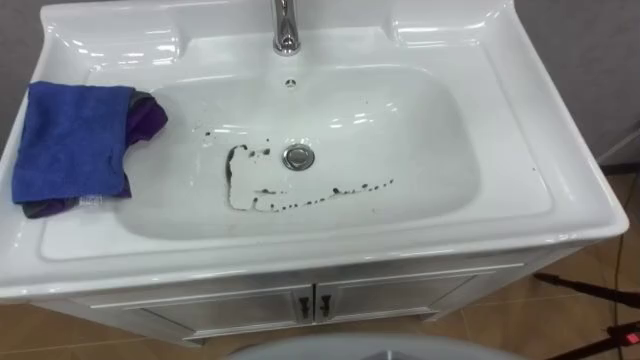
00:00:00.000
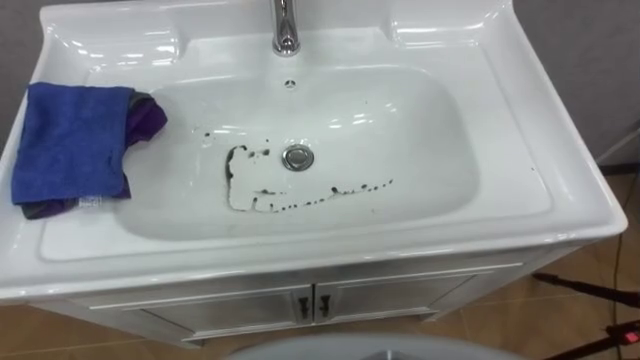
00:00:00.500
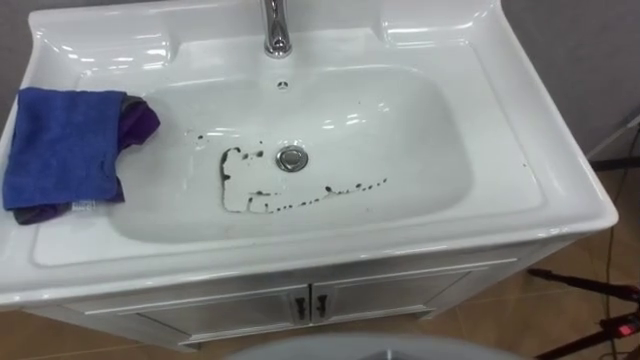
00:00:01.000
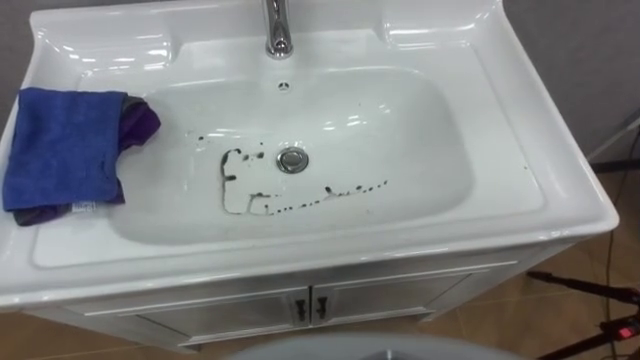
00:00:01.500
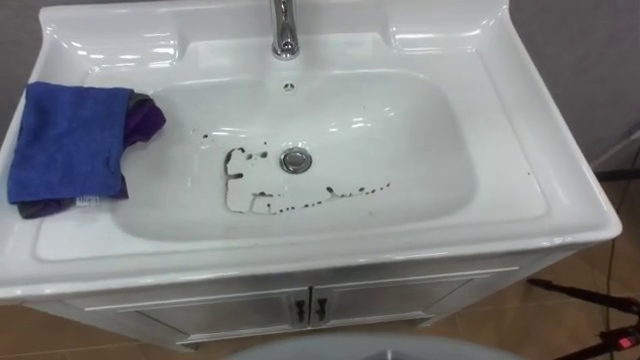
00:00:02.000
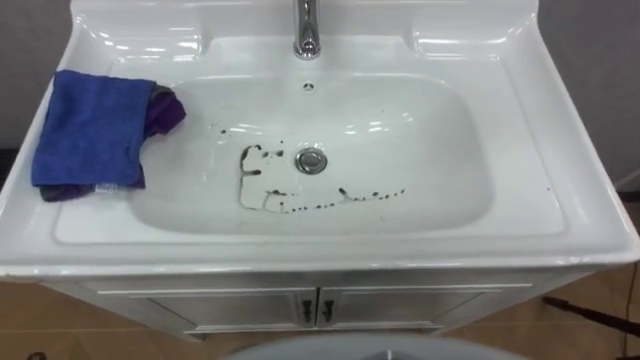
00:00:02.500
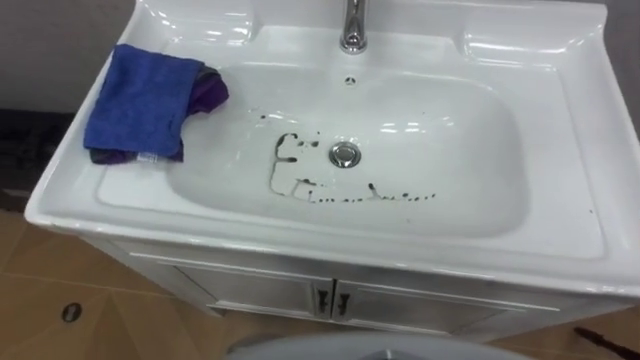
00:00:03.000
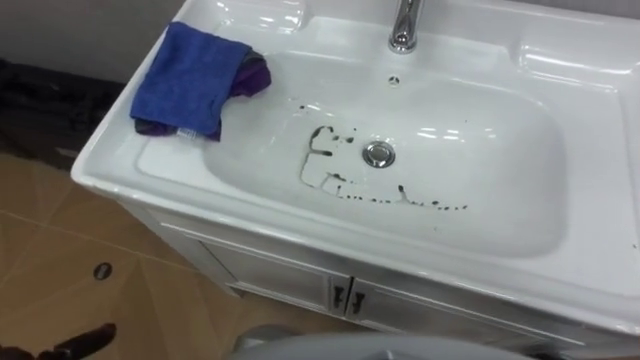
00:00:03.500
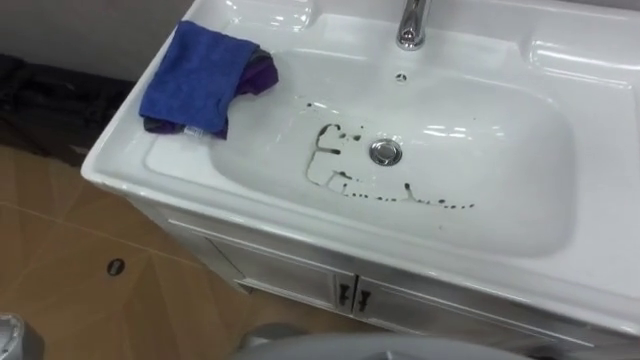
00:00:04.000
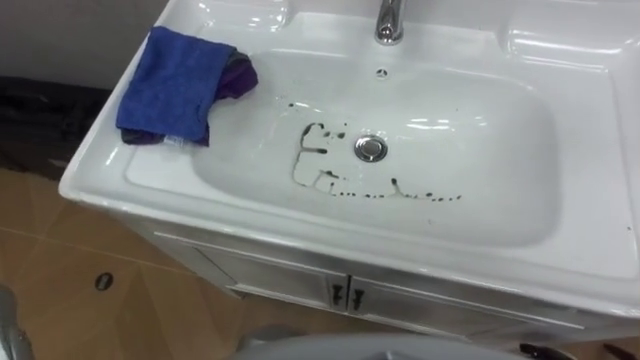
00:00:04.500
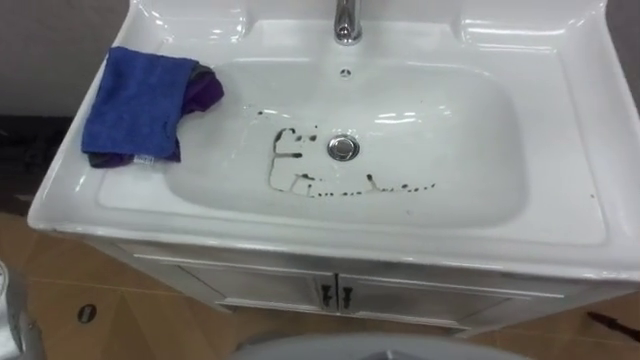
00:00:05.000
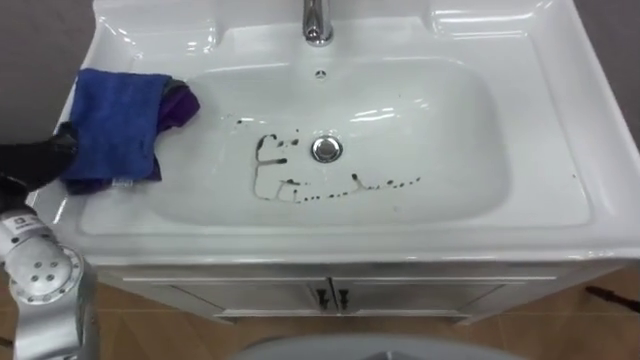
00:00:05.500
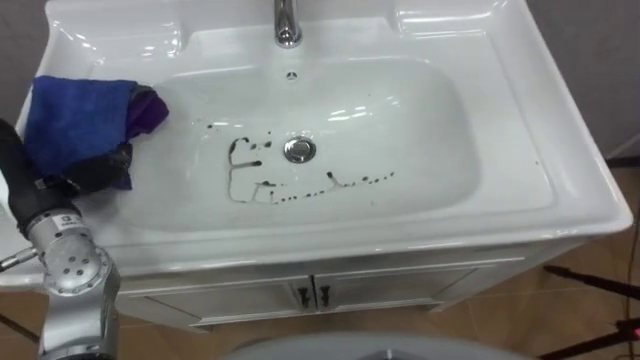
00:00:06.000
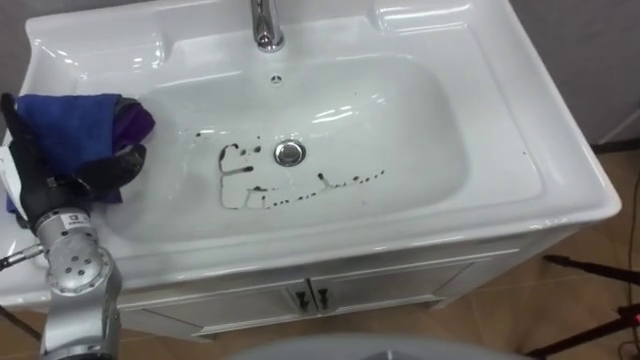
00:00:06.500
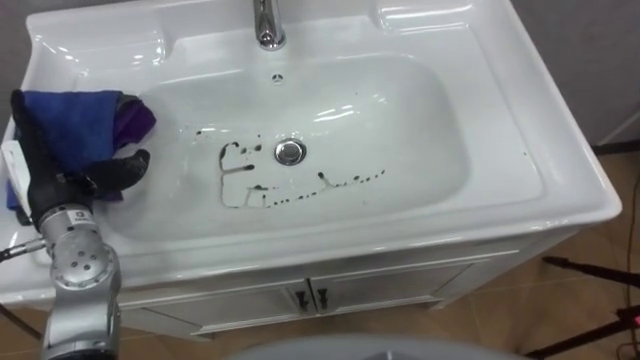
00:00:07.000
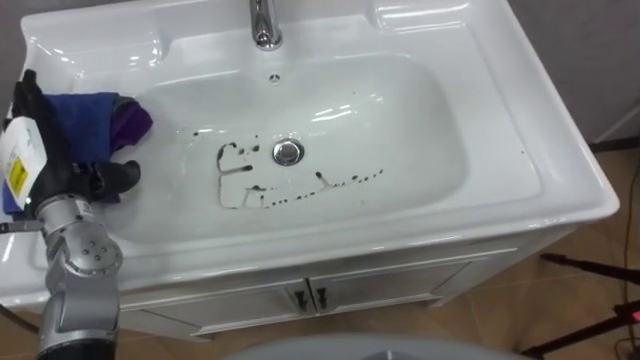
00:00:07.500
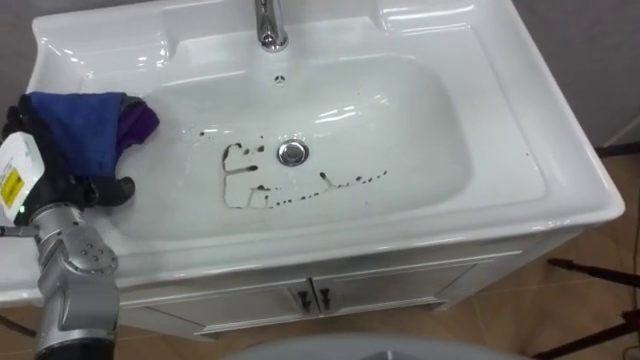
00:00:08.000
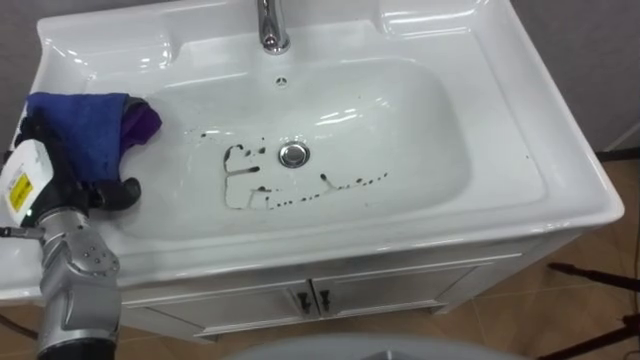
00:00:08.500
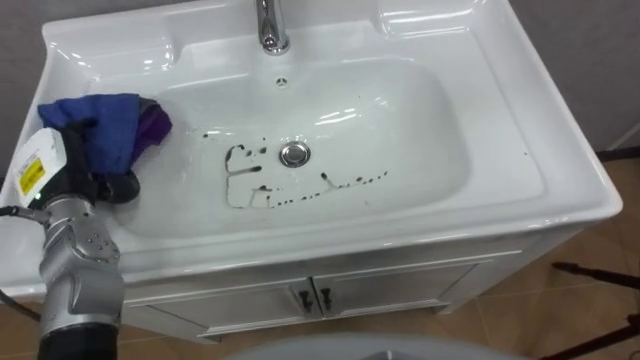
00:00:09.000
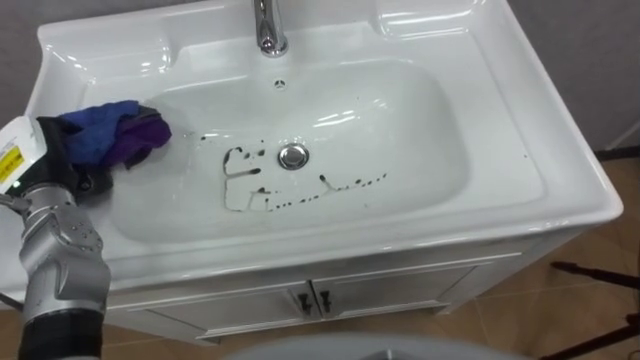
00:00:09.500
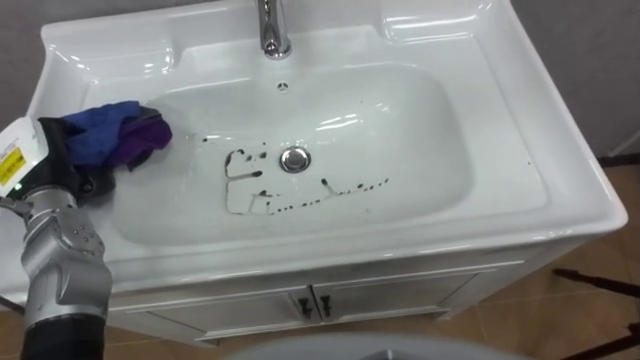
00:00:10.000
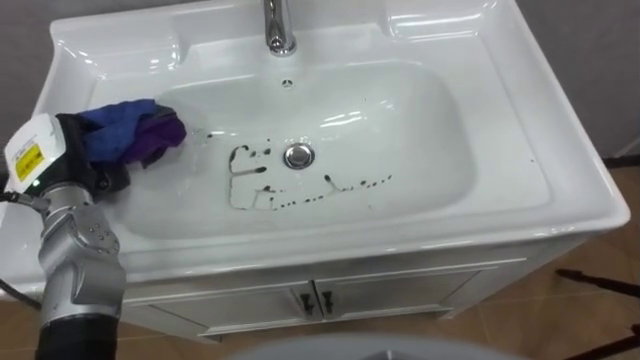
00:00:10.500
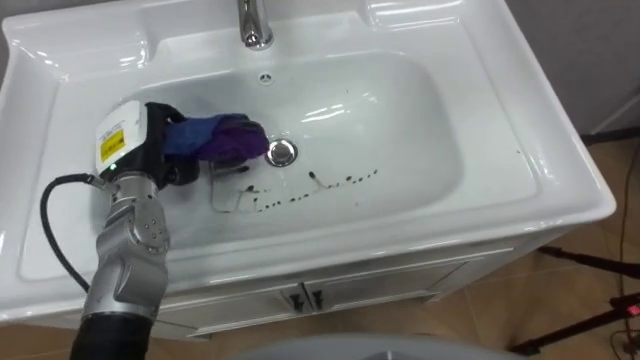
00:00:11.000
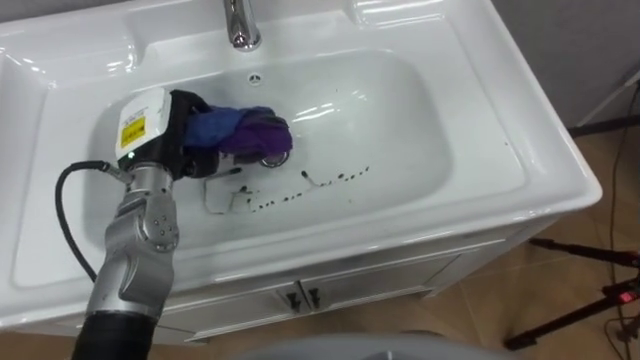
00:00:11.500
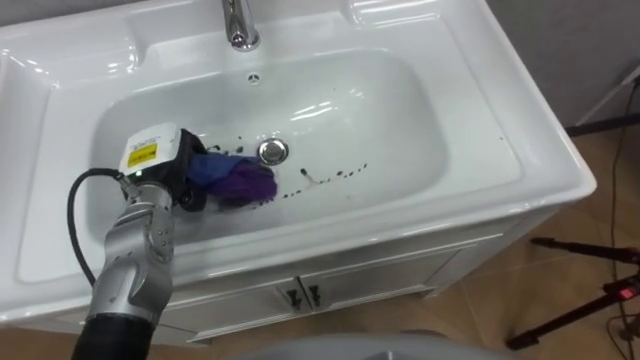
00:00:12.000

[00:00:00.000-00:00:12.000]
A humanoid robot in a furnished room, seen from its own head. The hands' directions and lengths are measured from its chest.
Task of the whole recording: Use the cloth on the right to wipe away the black stain in the sink.
00:00:08.000 to 00:00:10.000: The left hand closes its fingers.
00:00:10.000 to 00:00:12.000: The left hand heads to the right, covering about 10 cm.

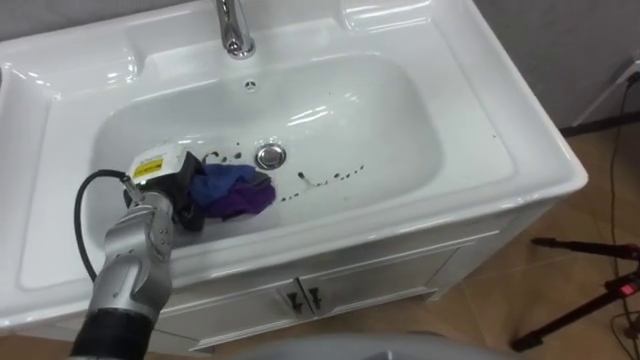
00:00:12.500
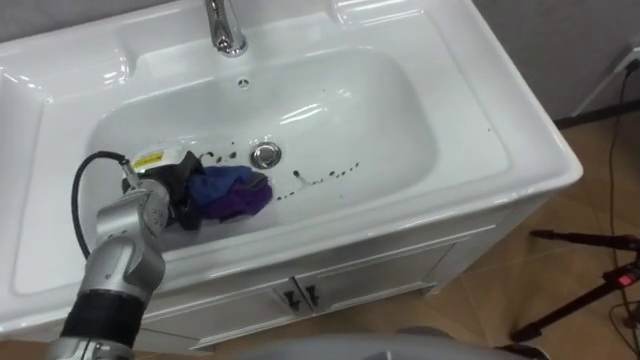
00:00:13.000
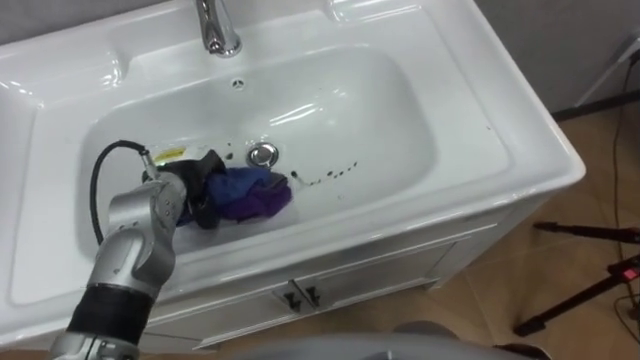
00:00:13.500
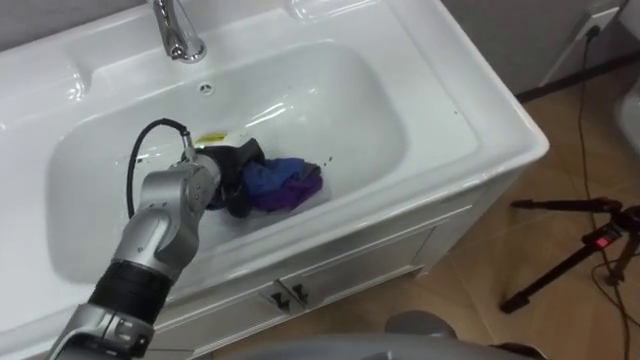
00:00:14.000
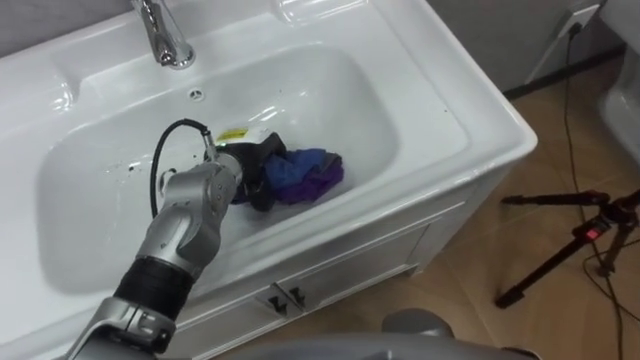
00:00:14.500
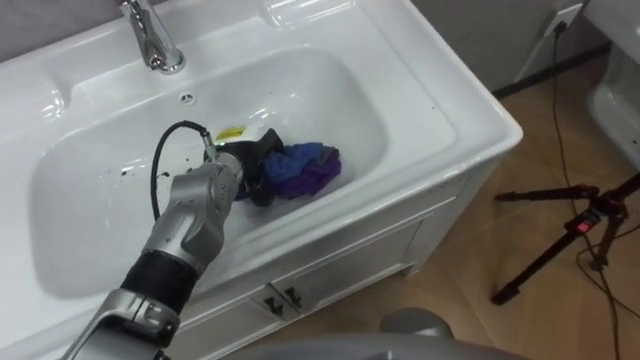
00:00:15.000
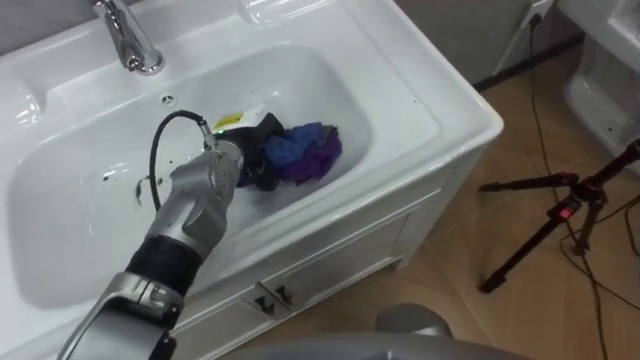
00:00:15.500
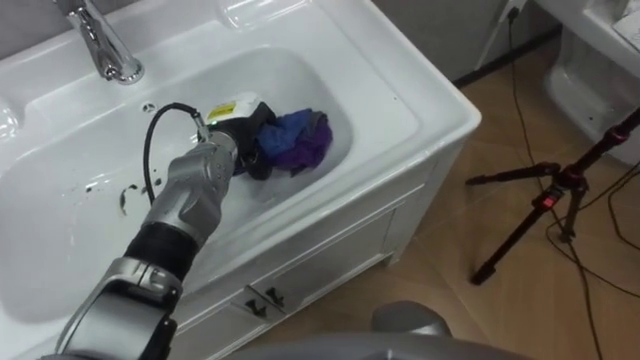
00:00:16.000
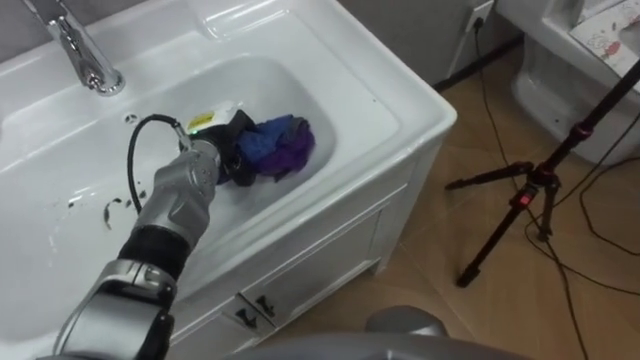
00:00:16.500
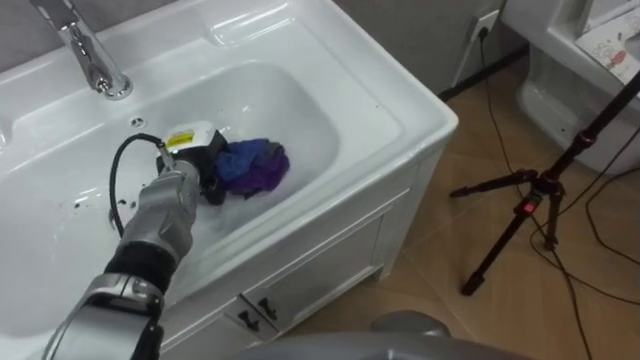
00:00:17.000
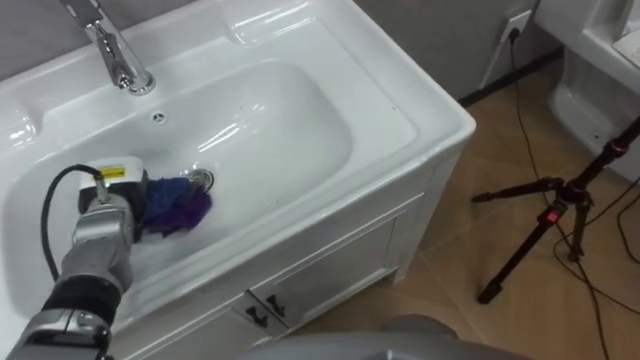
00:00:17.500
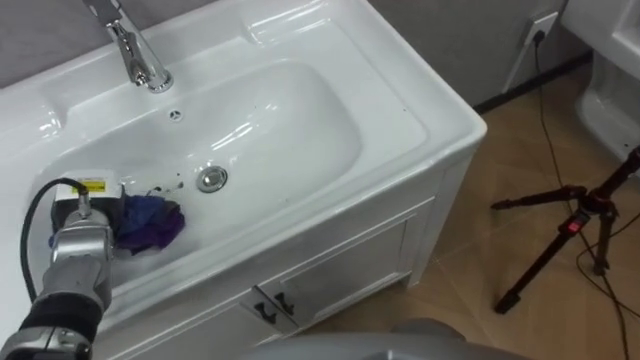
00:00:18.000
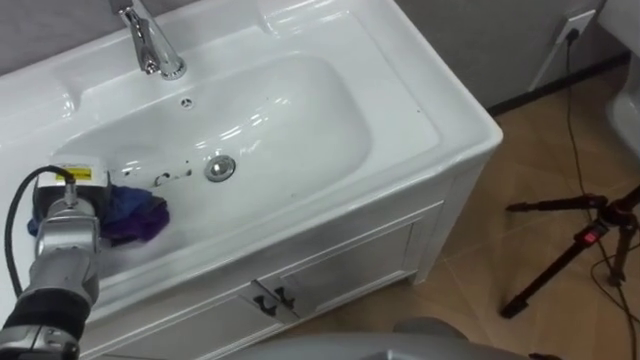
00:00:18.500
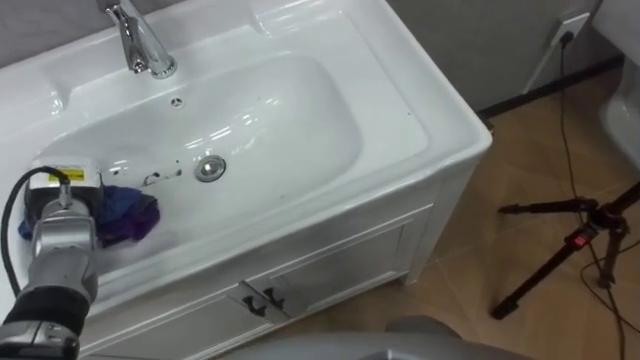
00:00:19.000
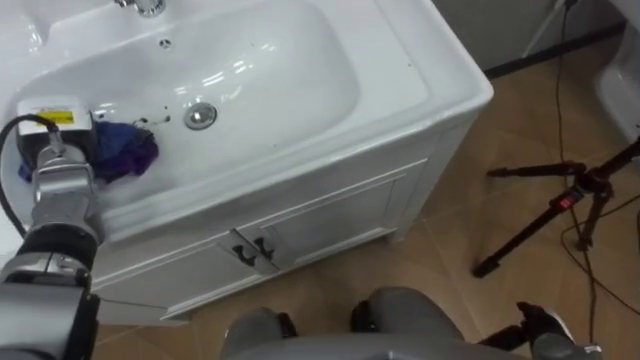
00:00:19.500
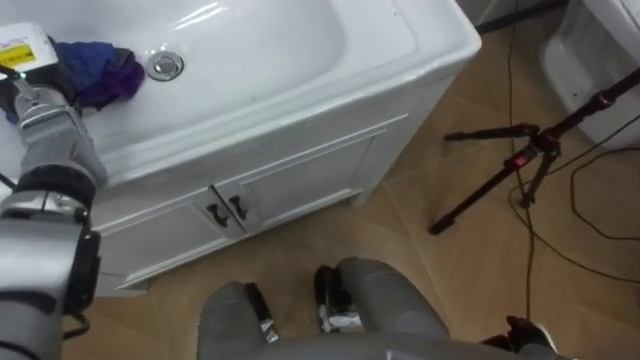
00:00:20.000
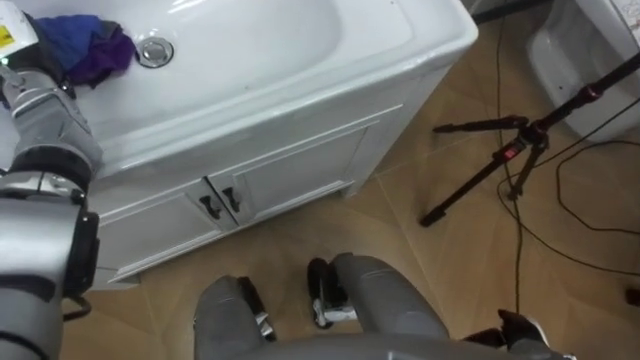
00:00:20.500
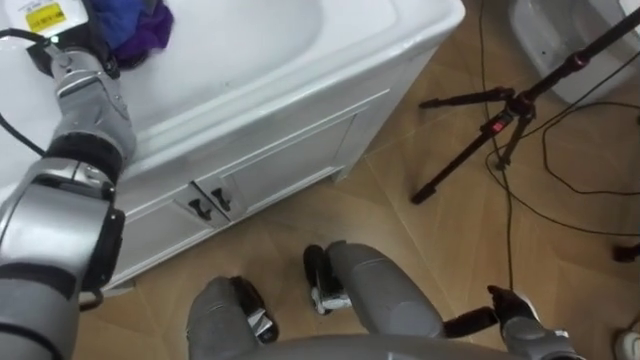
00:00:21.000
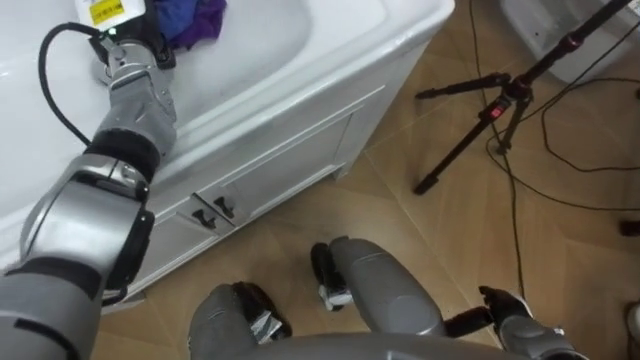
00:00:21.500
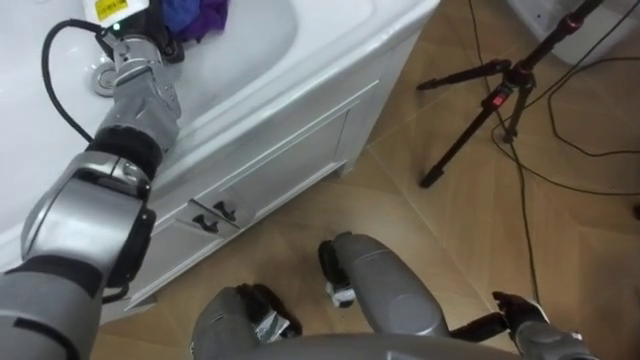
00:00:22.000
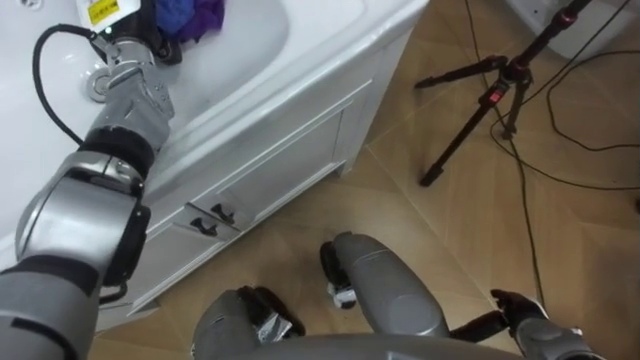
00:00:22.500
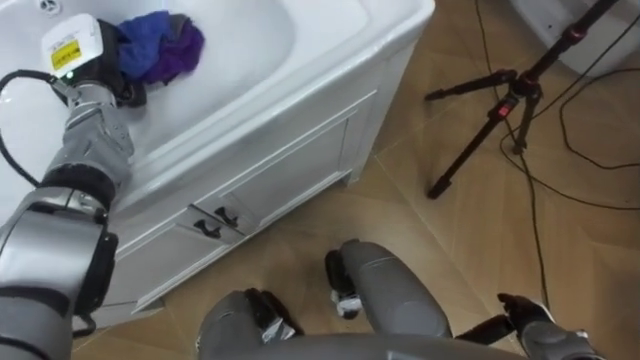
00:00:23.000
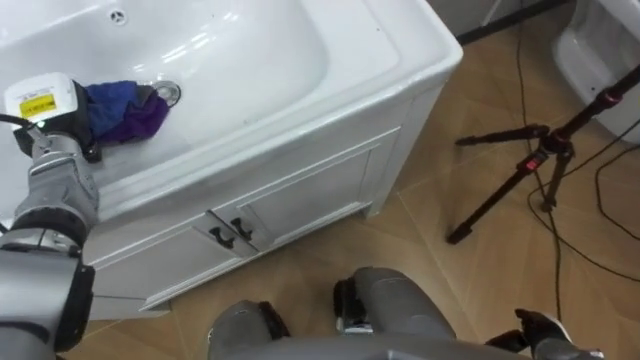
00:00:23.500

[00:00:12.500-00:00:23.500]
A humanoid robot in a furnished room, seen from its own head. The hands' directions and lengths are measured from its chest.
Task of the whole recording: Use the cloth on the right to wipe away the black stain in the sink.
00:00:12.500 to 00:00:14.500: The left hand shifts approximately 10 cm to the right.
00:00:16.000 to 00:00:18.000: The left hand travels to the left and backward by some 20 cm.
00:00:18.000 to 00:00:20.000: The left hand is displaced upward and forward by about 20 cm.
00:00:20.000 to 00:00:21.500: The left hand goes roughly 15 cm to the right and forward.
00:00:21.500 to 00:00:23.500: The right hand ends up roughly 5 cm from where it was; the left hand heads to the left, backward and downward, covering some 15 cm.
